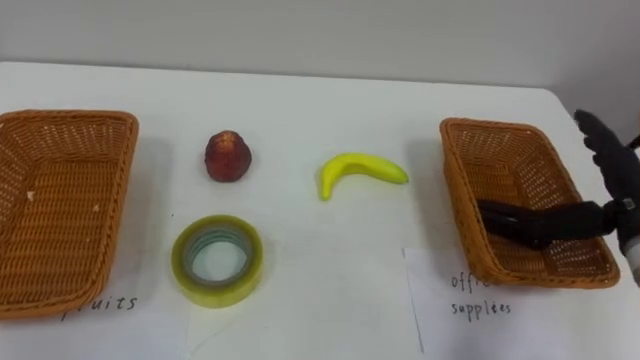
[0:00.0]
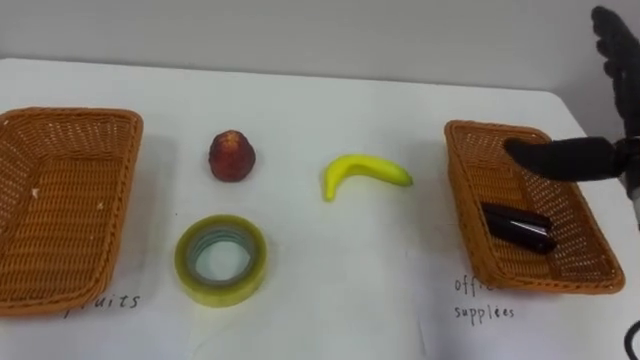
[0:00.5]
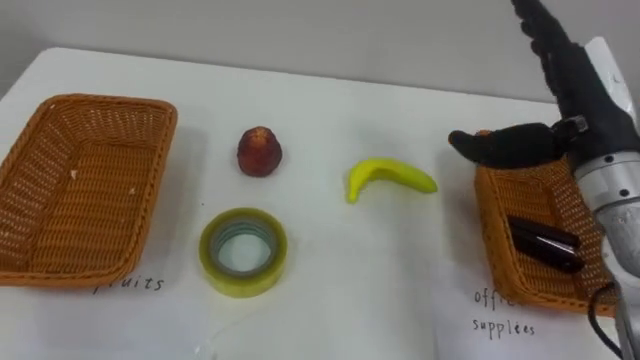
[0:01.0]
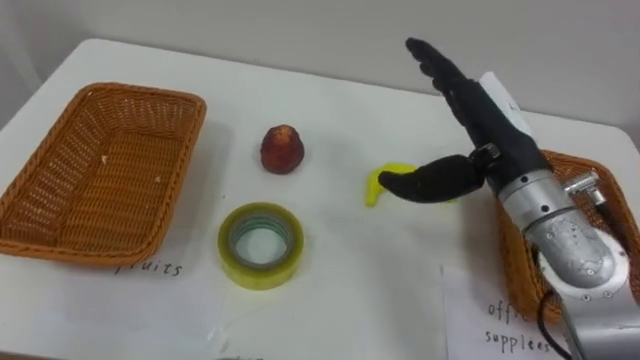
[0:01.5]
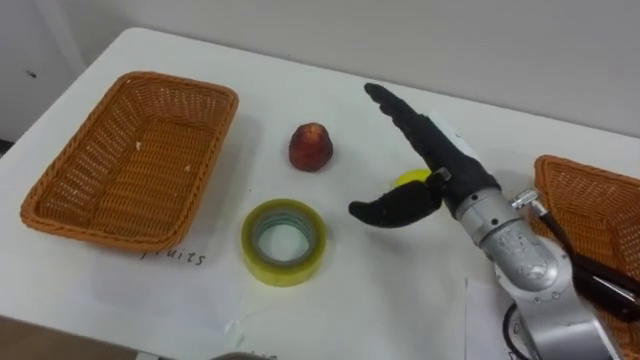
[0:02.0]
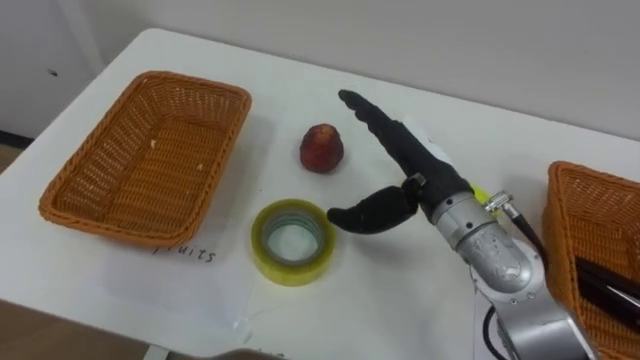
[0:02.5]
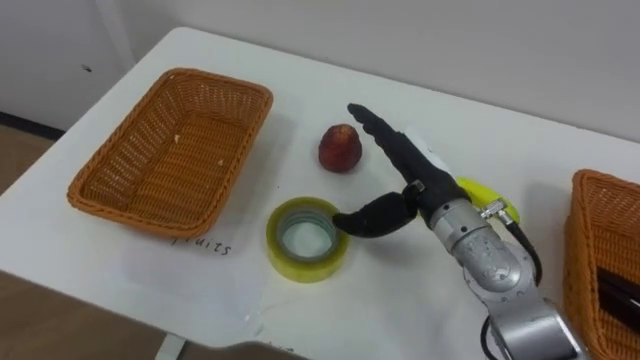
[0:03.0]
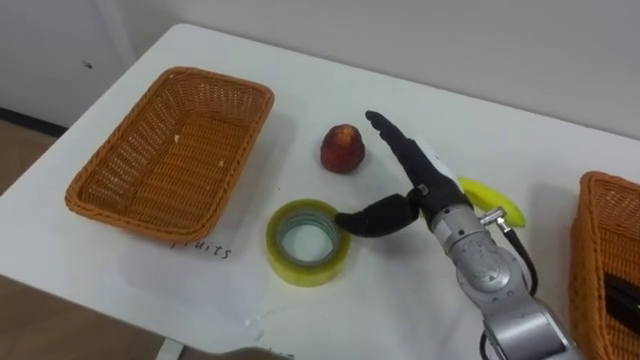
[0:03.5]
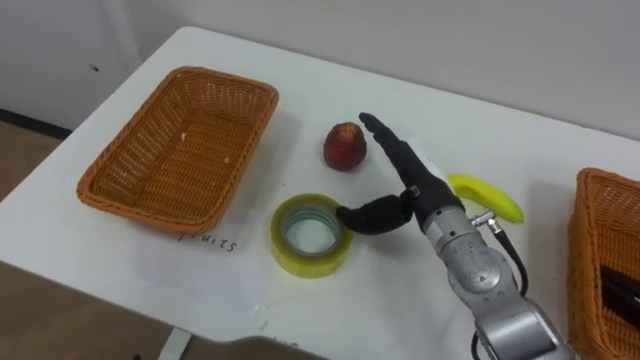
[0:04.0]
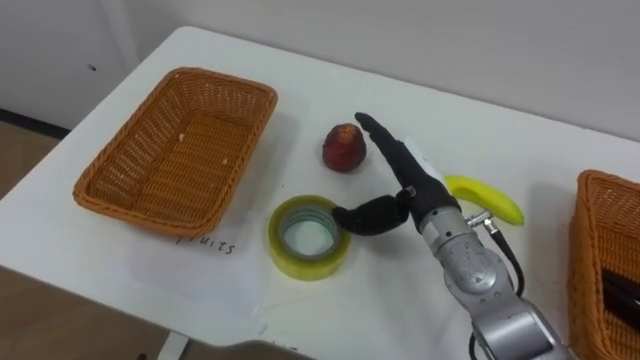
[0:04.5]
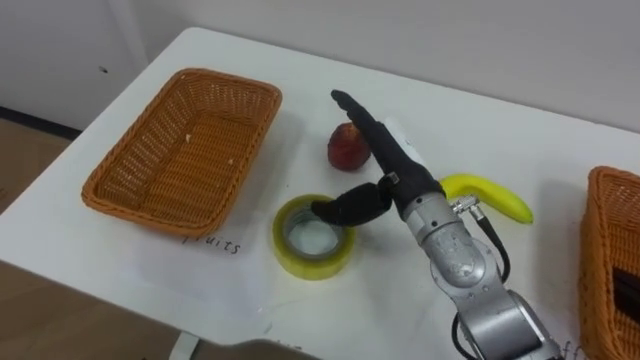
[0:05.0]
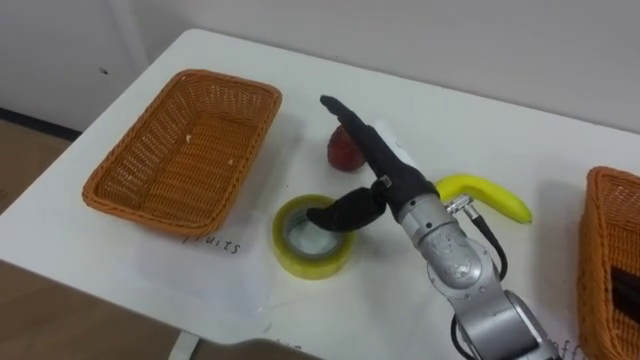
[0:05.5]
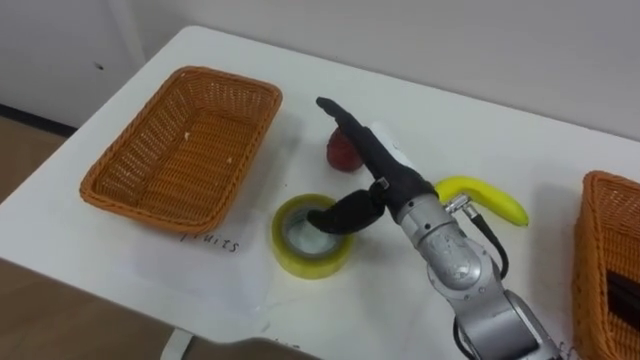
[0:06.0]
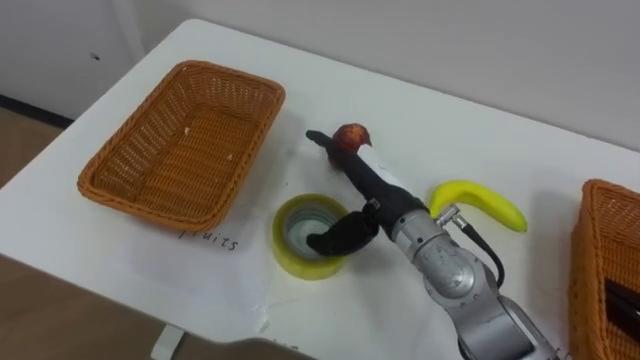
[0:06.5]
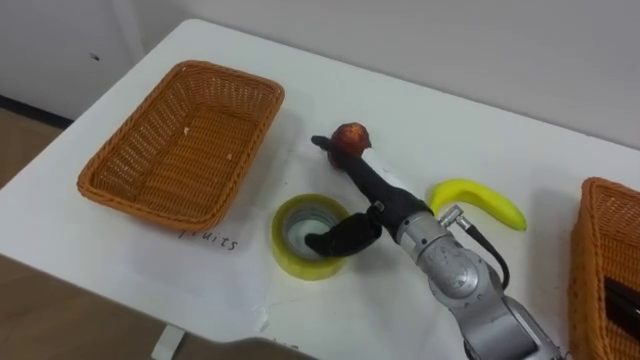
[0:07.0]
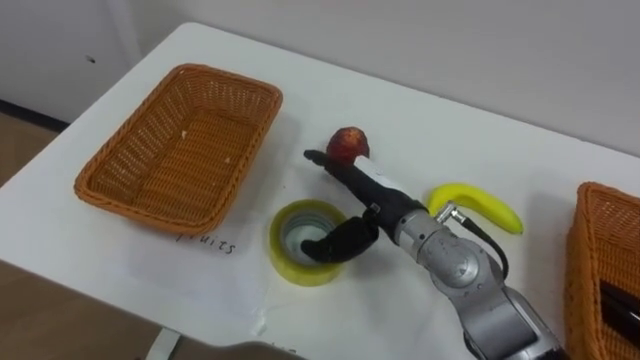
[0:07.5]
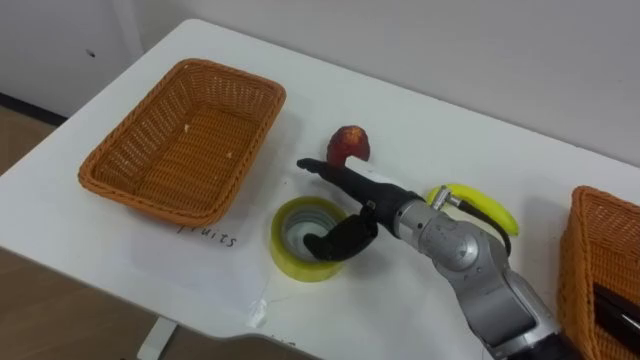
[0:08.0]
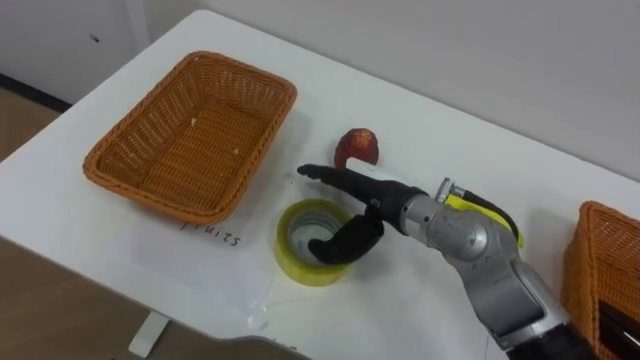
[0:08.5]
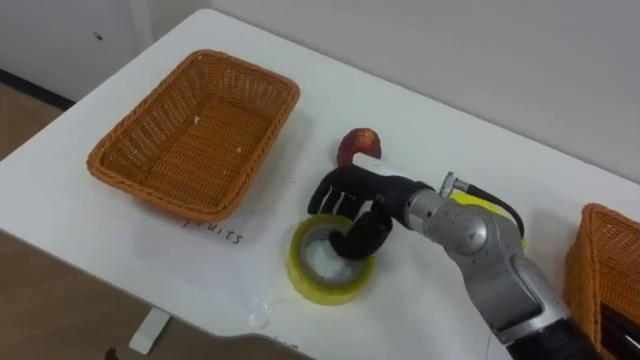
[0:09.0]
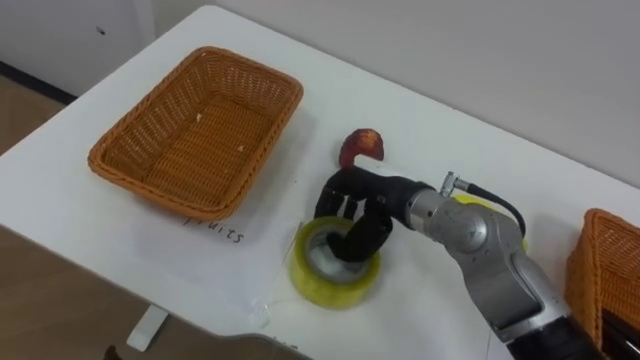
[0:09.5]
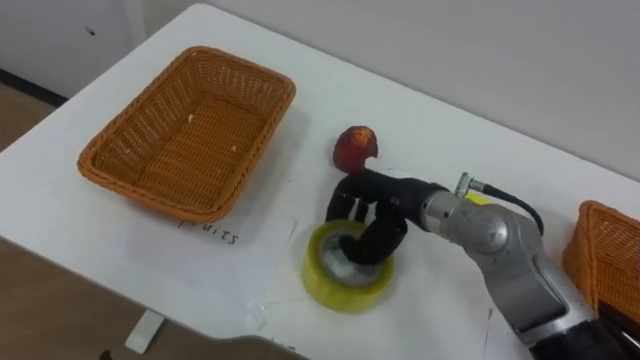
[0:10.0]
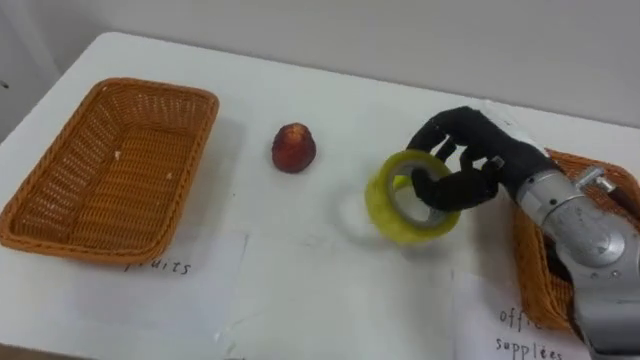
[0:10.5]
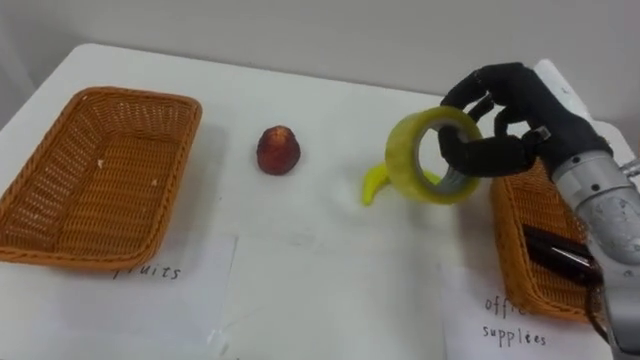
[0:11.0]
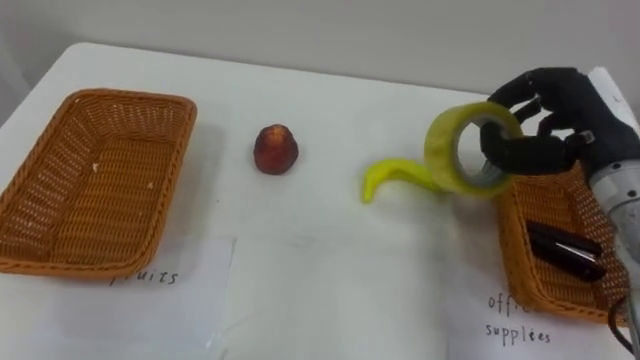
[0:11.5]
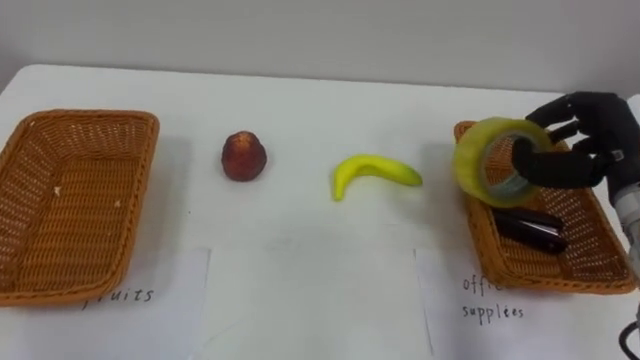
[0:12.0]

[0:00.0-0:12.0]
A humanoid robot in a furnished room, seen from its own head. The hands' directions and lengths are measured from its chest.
Task of the whole recording: Separate the items on the table and place them into the two baskets.
0:02.0 to 0:04.0: The right hand goes roughly 5 cm downward.
0:04.0 to 0:06.0: The right hand changes place by about 5 cm.
0:08.0 to 0:10.0: The right hand closes its fingers.
0:10.0 to 0:12.0: The right hand is displaced to the right by some 25 cm.

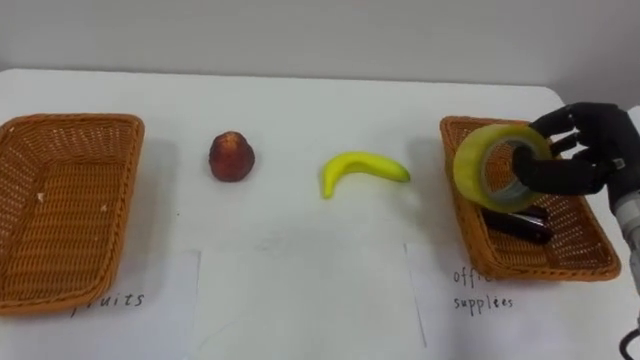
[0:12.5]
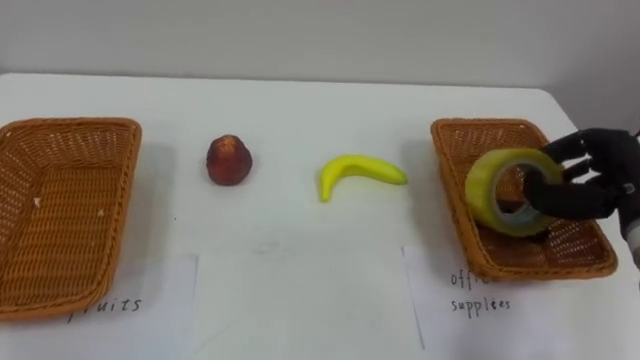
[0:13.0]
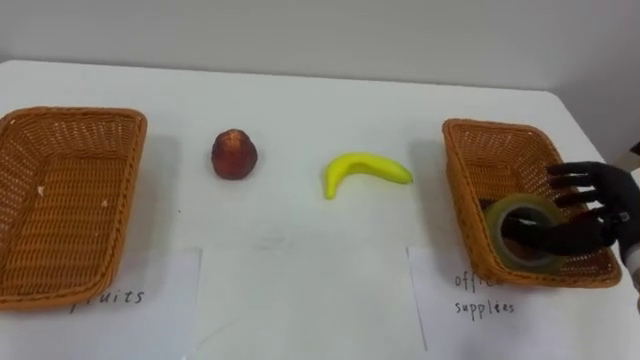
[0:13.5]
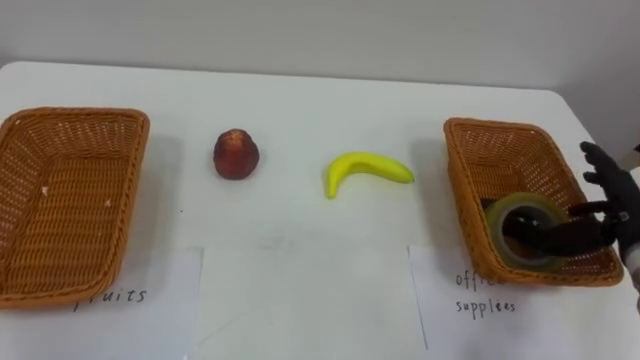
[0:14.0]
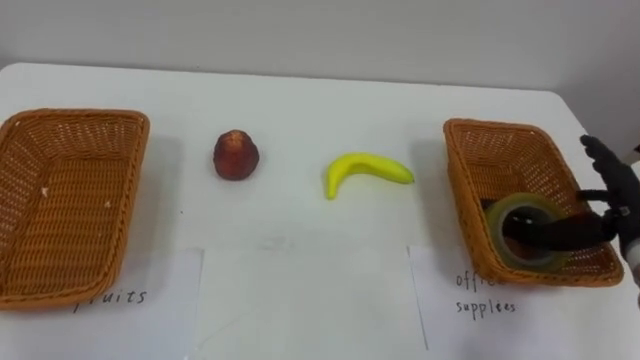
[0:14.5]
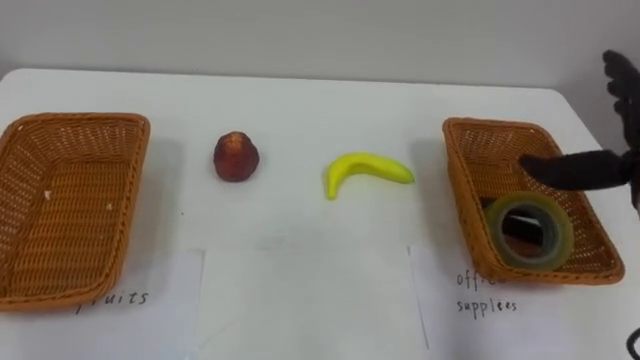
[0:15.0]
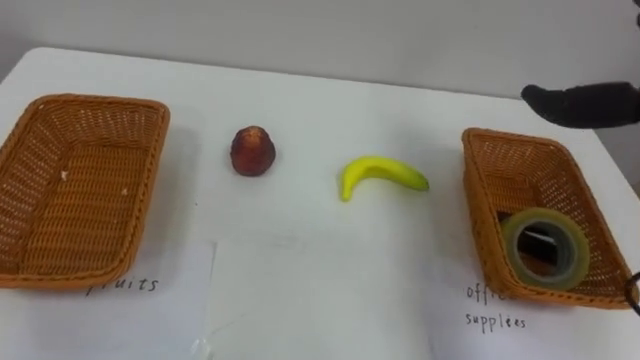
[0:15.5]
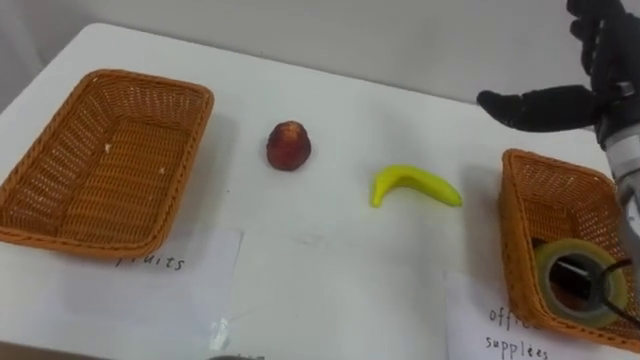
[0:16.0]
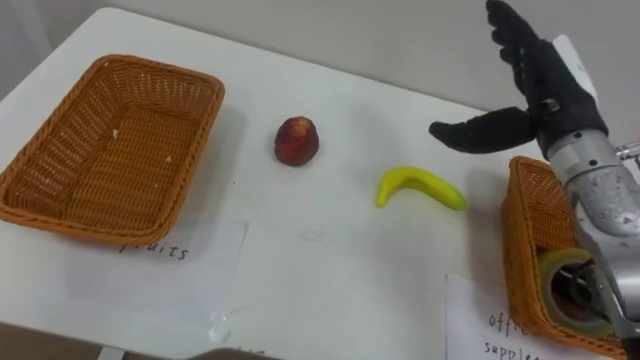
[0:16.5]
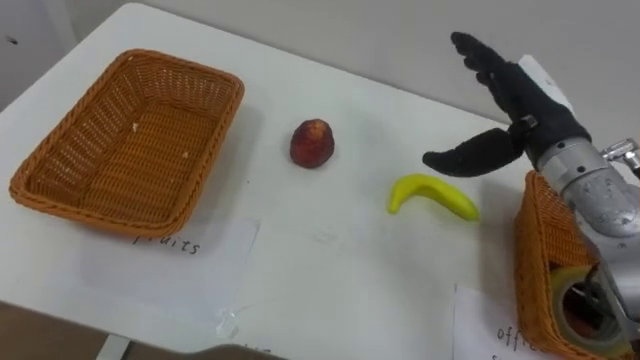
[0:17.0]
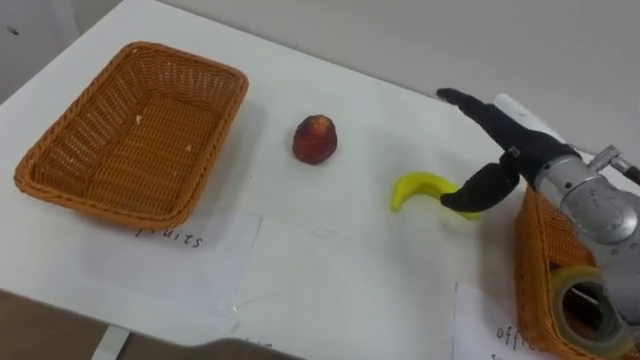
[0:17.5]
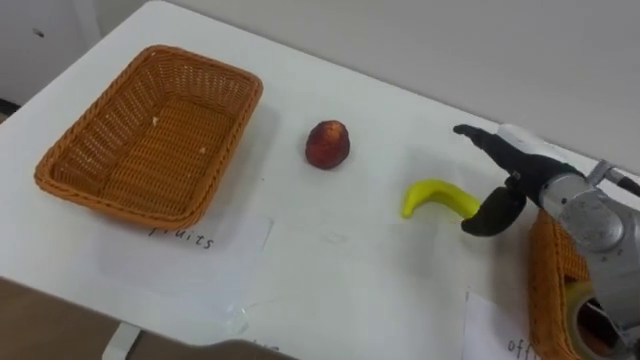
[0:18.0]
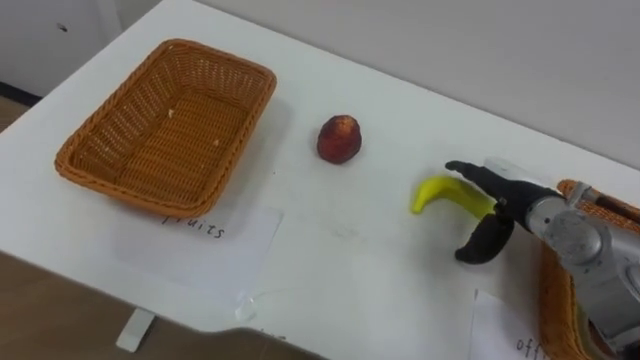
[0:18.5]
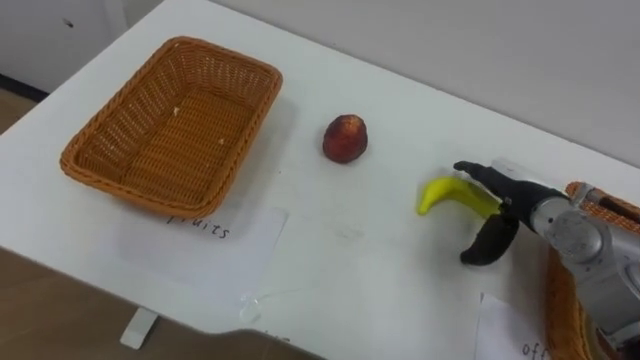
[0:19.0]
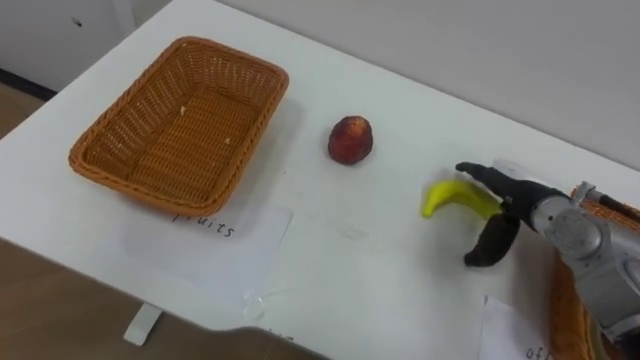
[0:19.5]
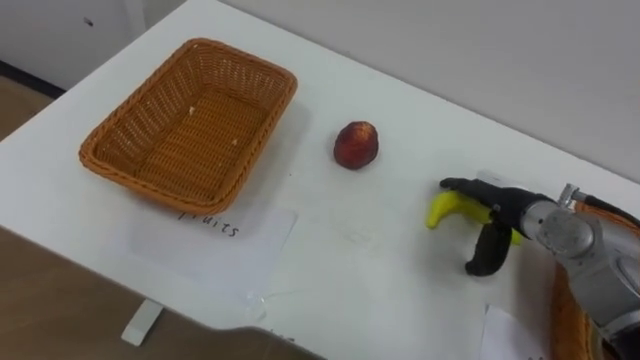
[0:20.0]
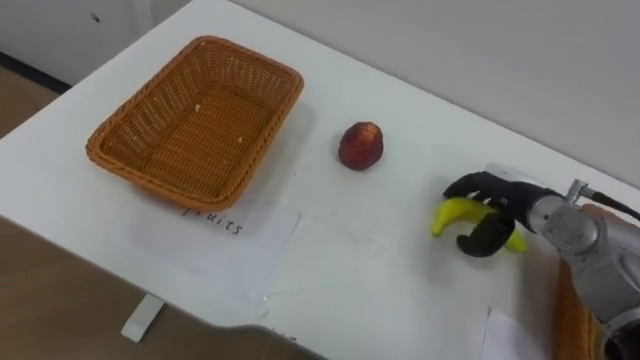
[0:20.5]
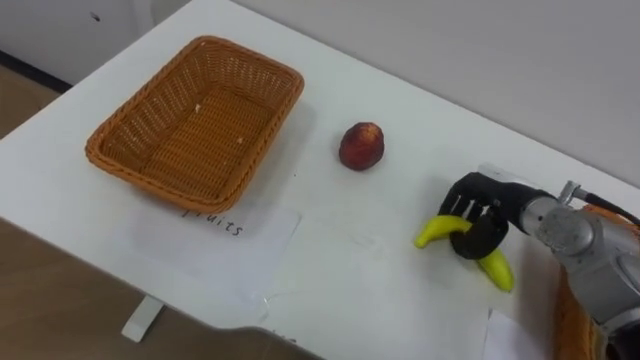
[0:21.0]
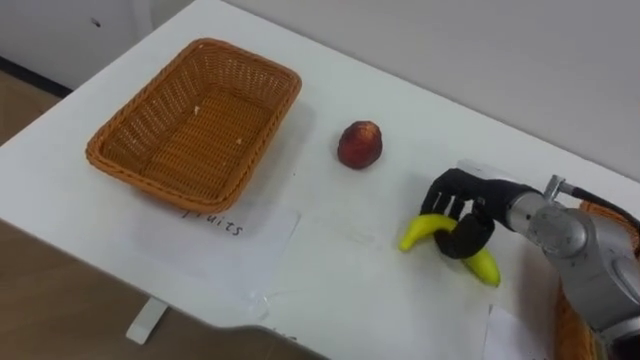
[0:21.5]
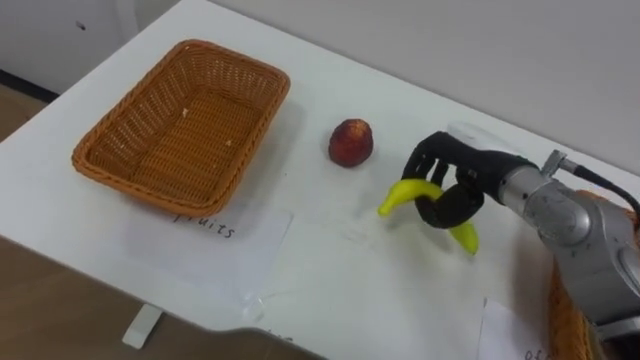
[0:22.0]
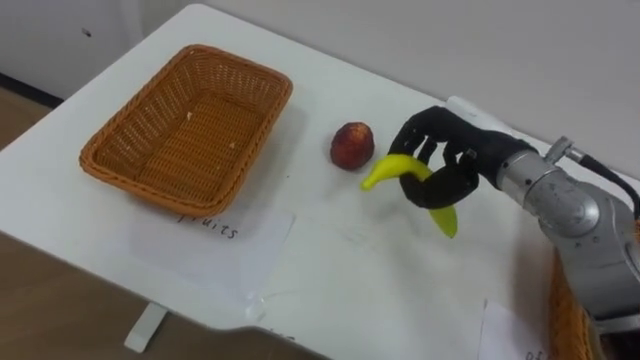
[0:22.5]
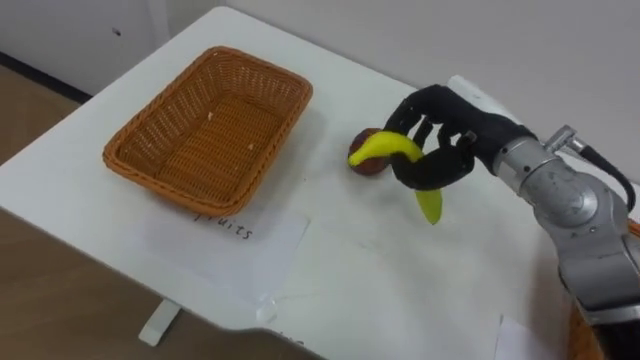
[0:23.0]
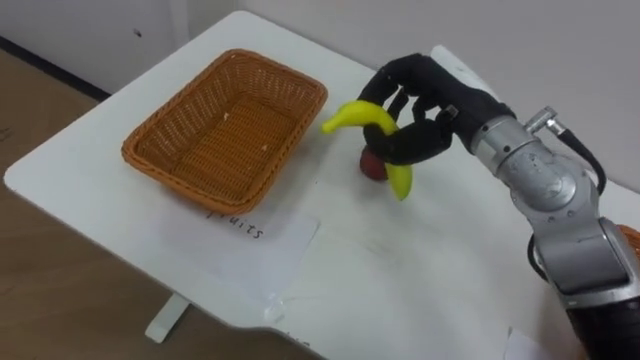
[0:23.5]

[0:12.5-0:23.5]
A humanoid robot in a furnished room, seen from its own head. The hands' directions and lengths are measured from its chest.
Task of the whole recording: Separate the items on the table and place them into the two baskets.
0:12.5 to 0:14.5: The right hand changes place by approximately 5 cm, and opens.
0:16.0 to 0:18.0: The right hand is displaced downward by approximately 15 cm.
0:18.0 to 0:20.0: The right hand is displaced downward by some 5 cm.
0:20.0 to 0:21.5: The right hand closes.
0:21.5 to 0:23.5: The right hand heads upward and to the left, covering roughly 15 cm.
